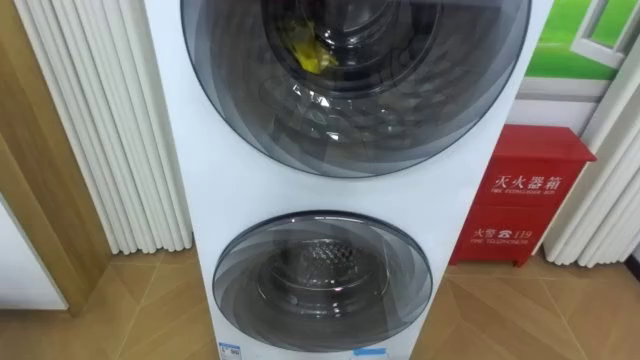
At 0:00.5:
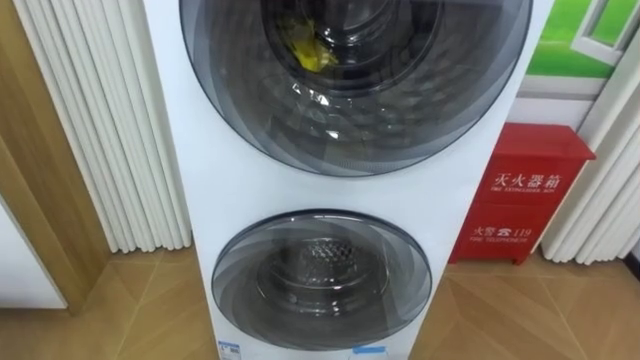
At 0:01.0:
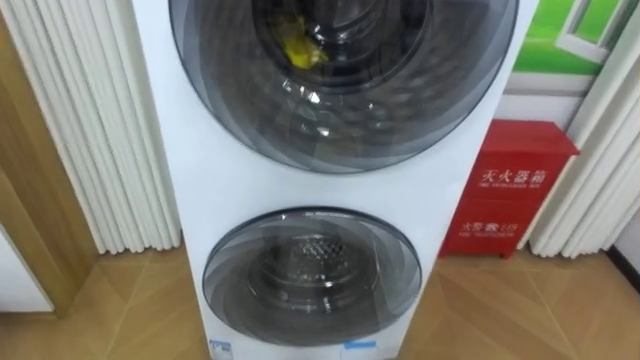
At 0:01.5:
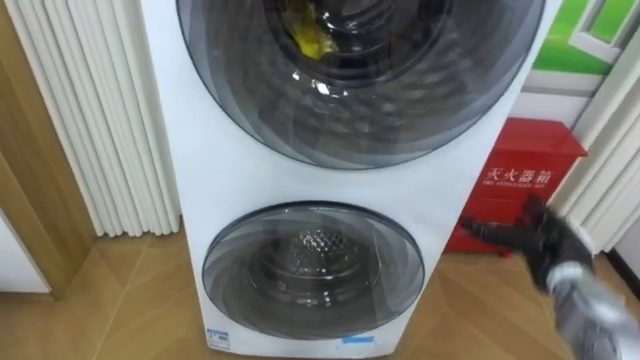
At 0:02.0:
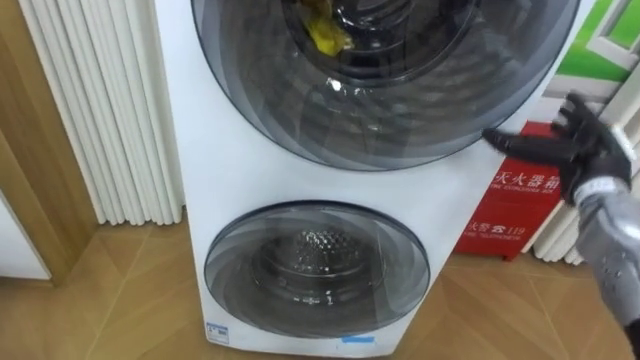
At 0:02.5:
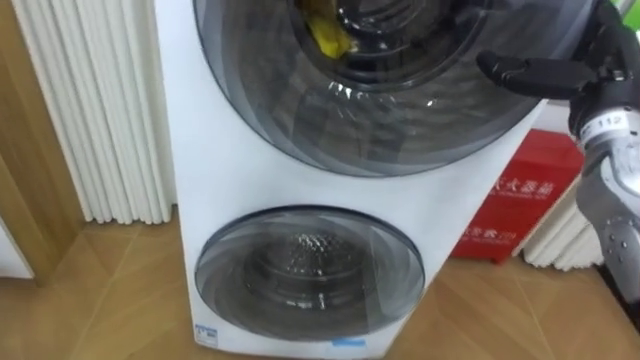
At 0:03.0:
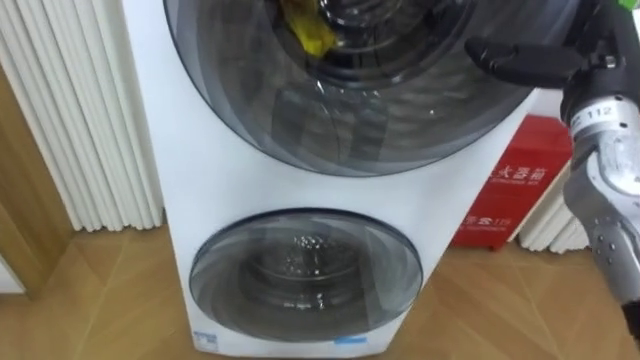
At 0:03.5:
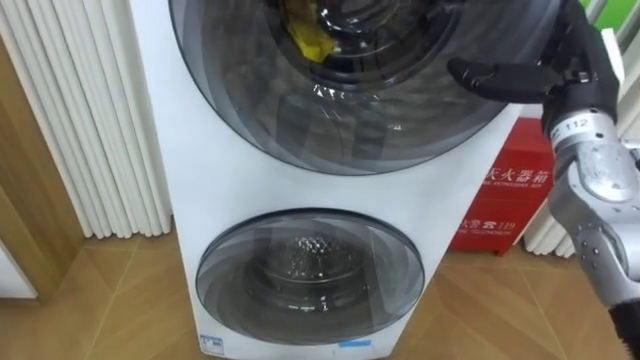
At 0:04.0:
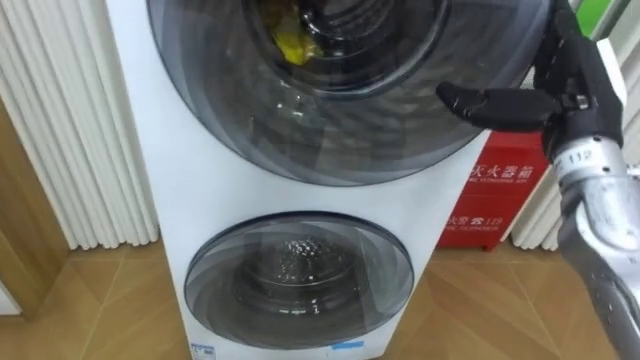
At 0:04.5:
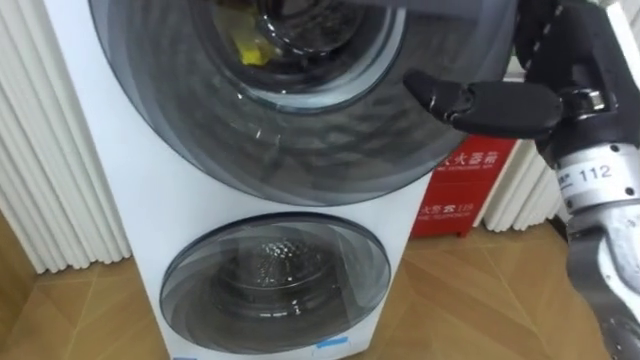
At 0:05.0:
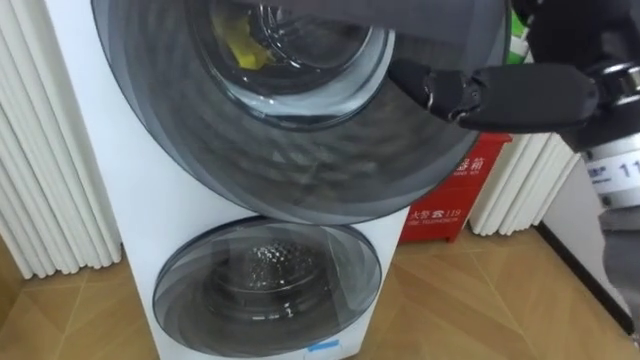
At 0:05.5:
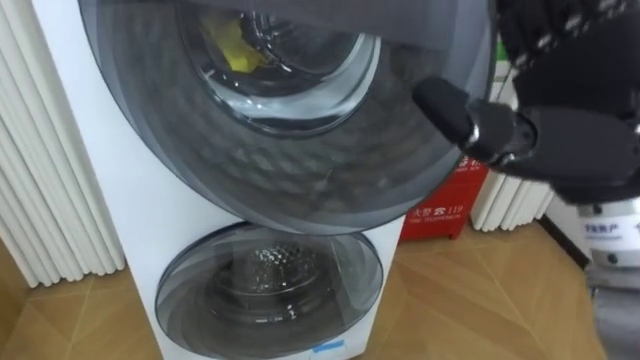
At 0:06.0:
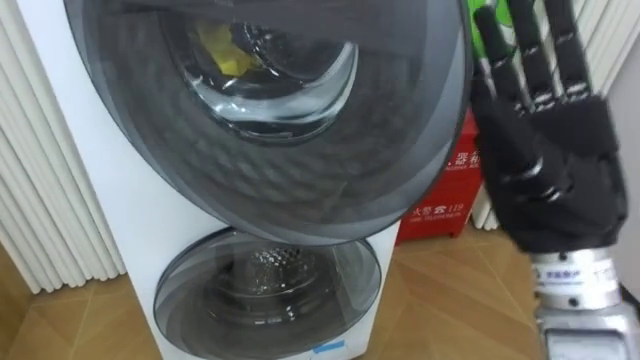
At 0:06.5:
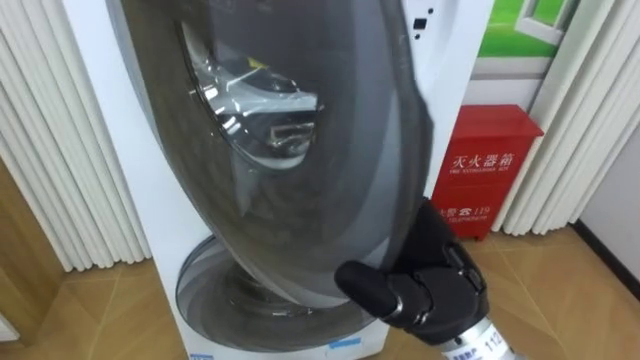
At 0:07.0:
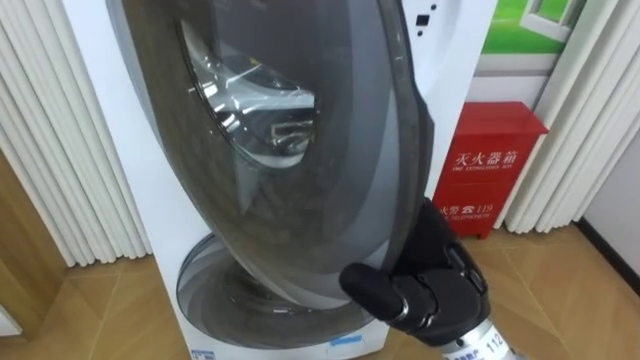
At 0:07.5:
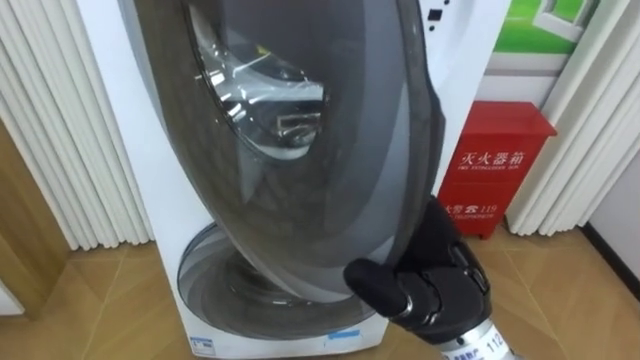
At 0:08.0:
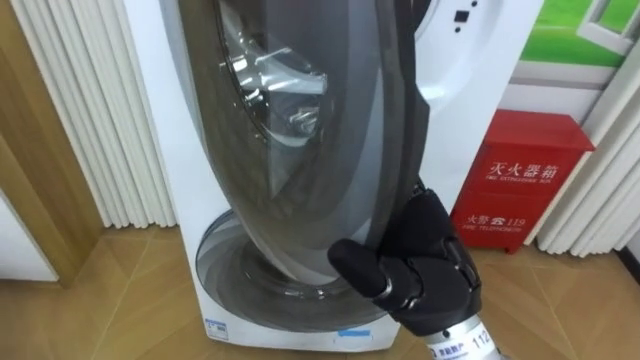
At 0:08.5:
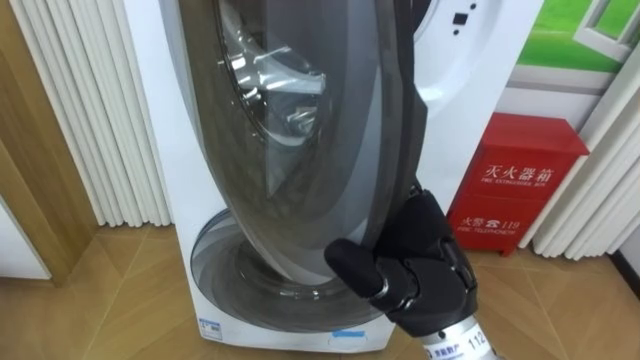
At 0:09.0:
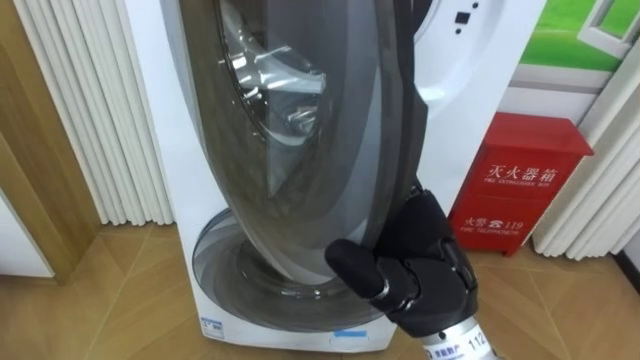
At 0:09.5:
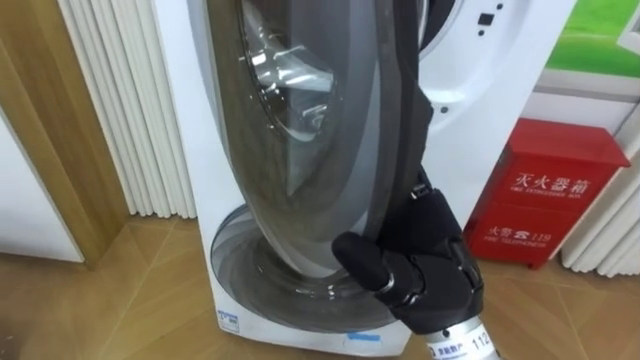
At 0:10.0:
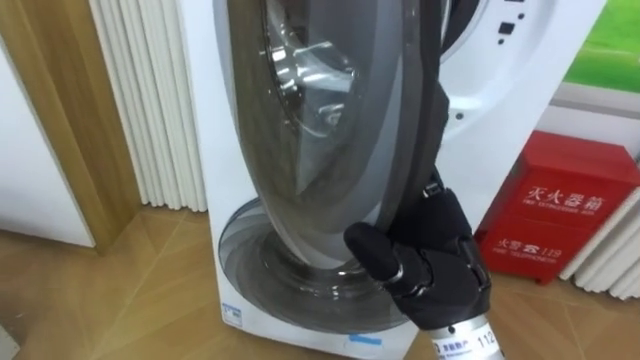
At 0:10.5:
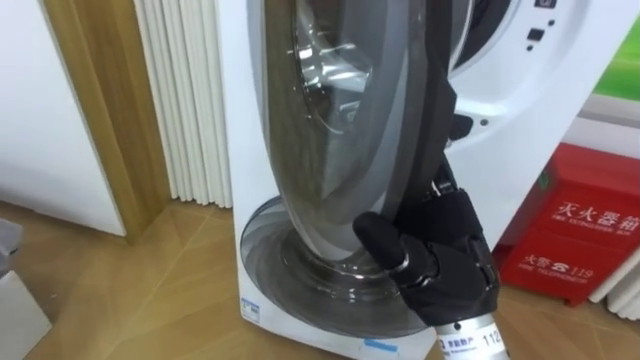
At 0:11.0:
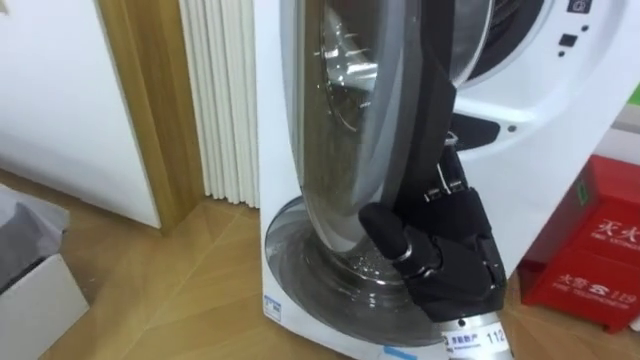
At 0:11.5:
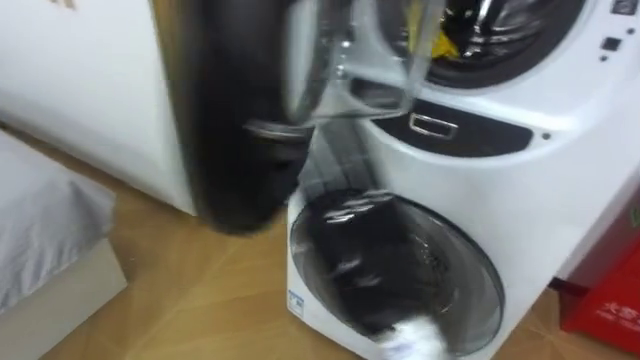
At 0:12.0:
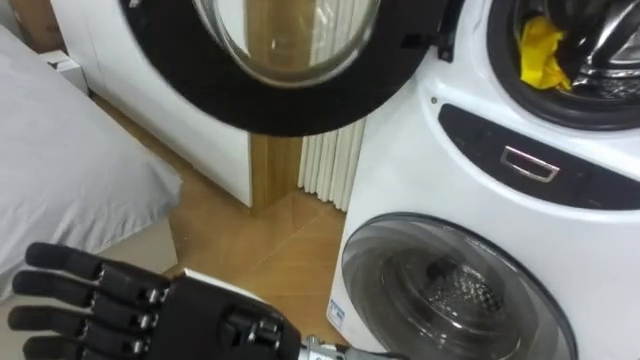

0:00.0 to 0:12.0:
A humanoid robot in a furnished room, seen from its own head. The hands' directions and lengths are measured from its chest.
Task of the whole recording: Open the washing machine door, take out the yellow clothes, place them in the box on the right, and close the washing machine door.
0:02.0 to 0:04.0: The right hand heads upward and to the left, covering some 15 cm.
0:04.0 to 0:06.0: The right hand heads backward and to the left, covering approximately 10 cm.
0:06.0 to 0:08.0: The right hand moves to the left and downward, some 10 cm.
0:10.0 to 0:12.0: The right hand shifts some 20 cm to the left and backward.

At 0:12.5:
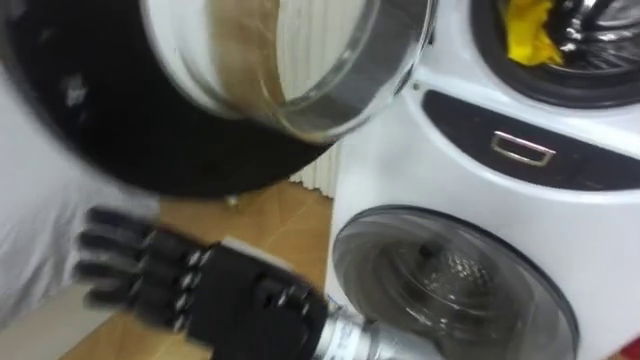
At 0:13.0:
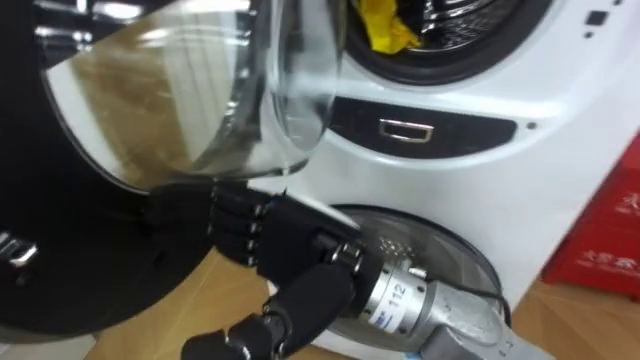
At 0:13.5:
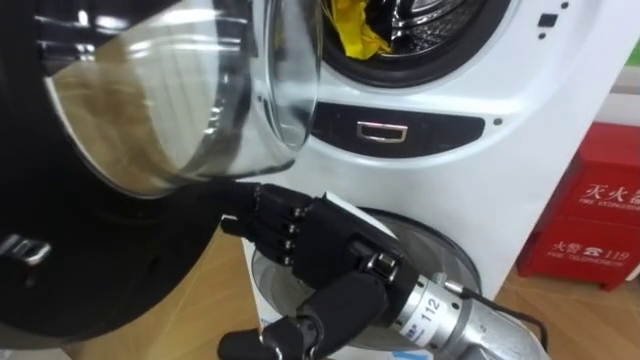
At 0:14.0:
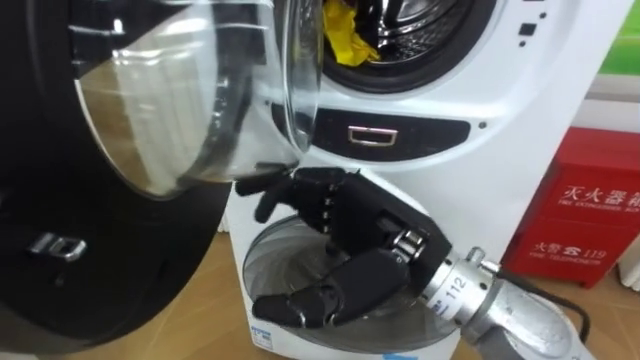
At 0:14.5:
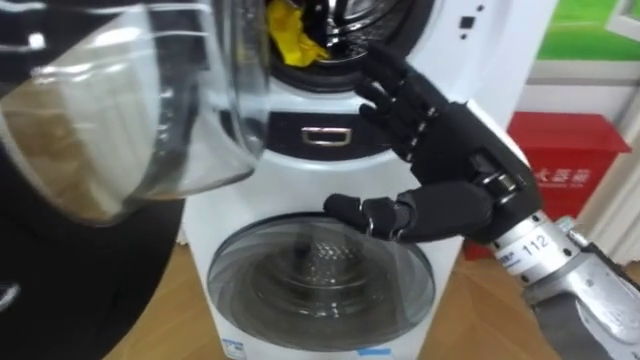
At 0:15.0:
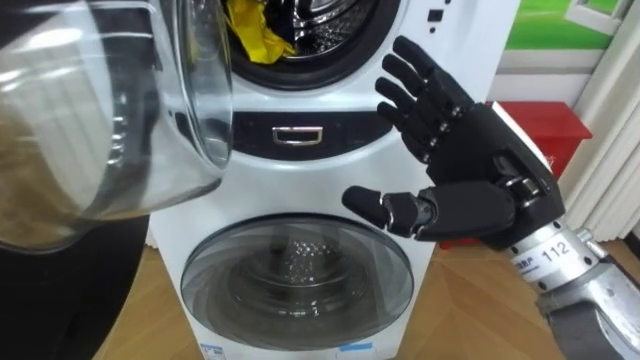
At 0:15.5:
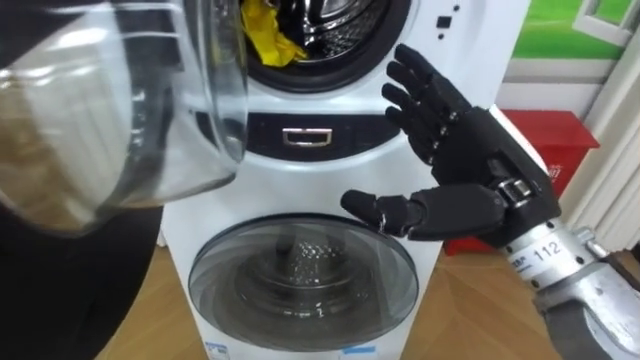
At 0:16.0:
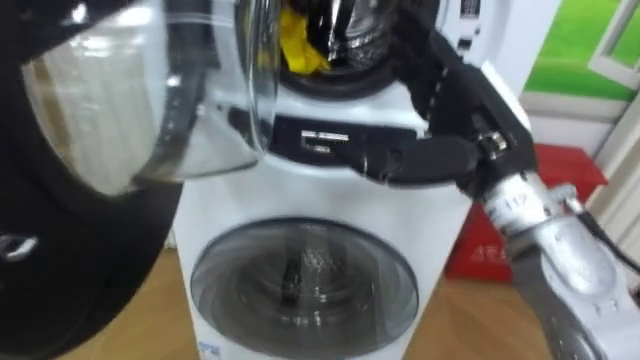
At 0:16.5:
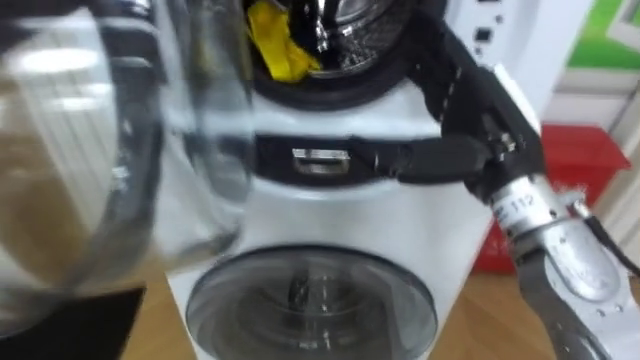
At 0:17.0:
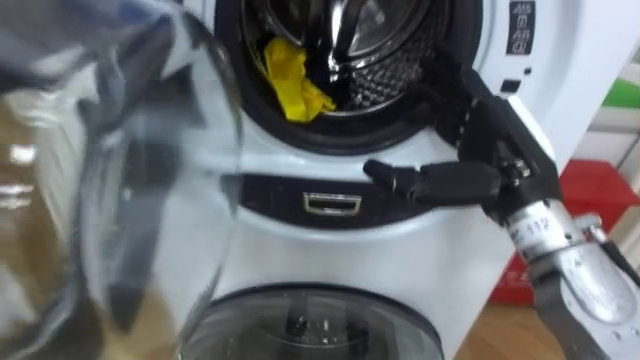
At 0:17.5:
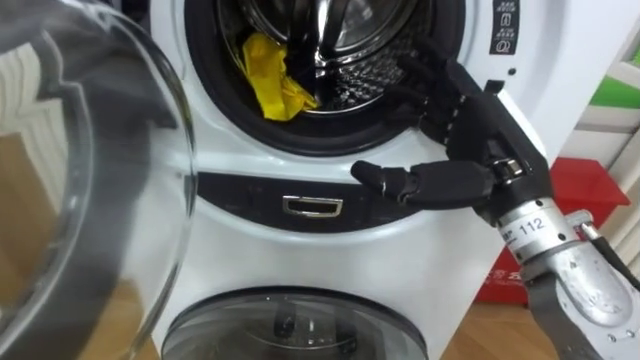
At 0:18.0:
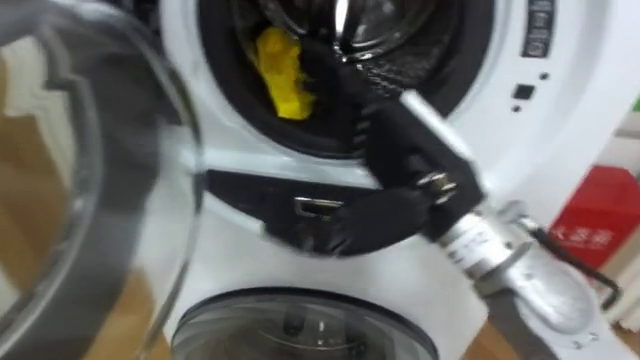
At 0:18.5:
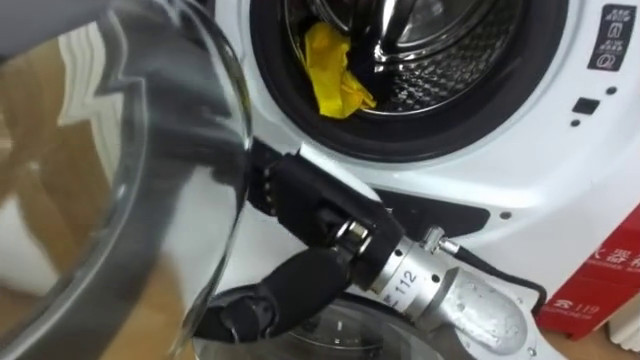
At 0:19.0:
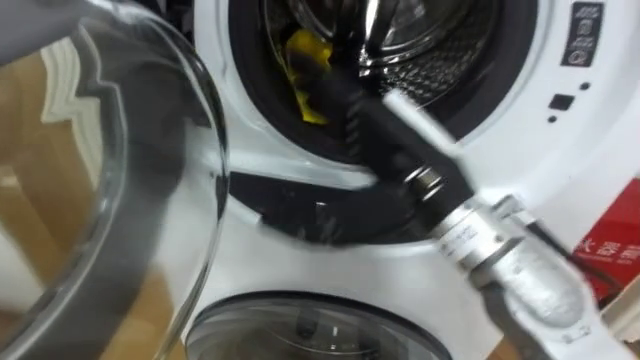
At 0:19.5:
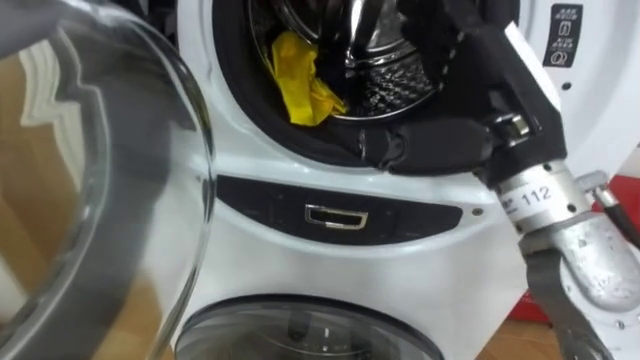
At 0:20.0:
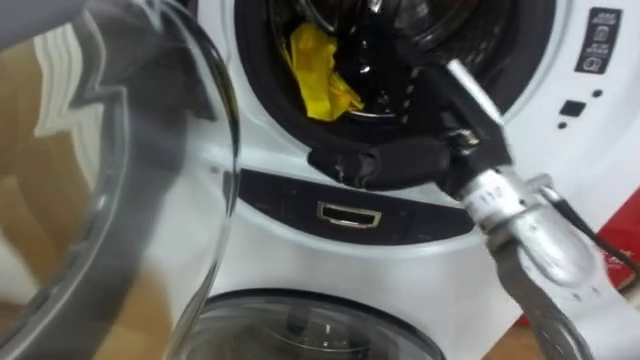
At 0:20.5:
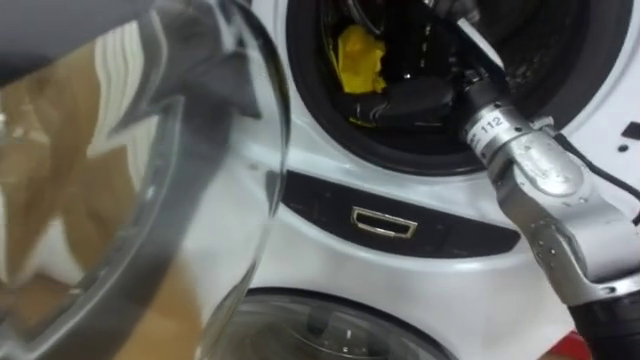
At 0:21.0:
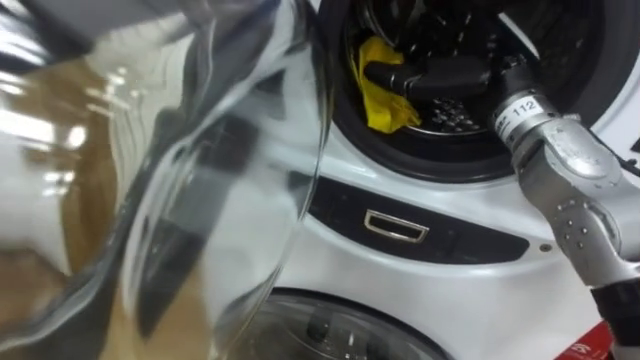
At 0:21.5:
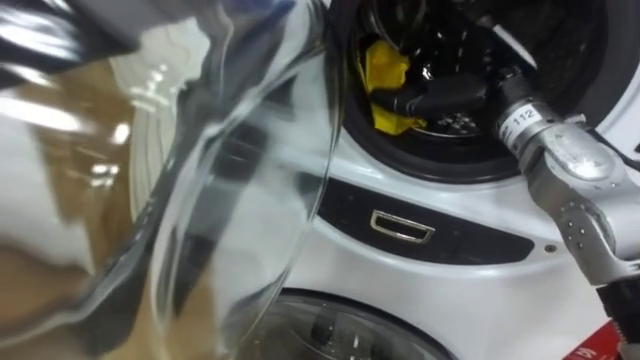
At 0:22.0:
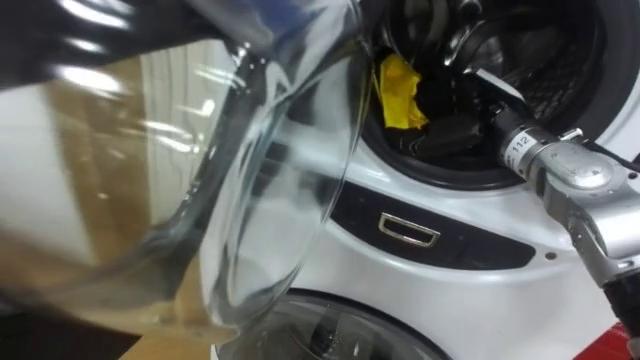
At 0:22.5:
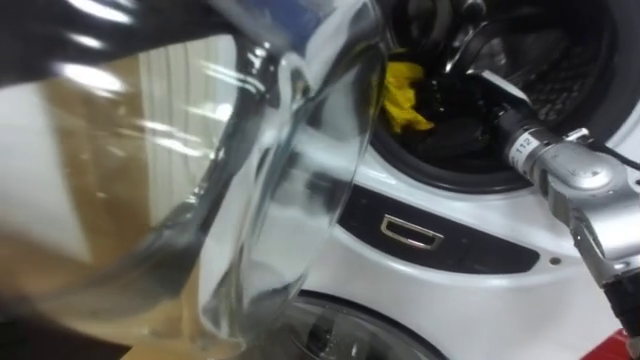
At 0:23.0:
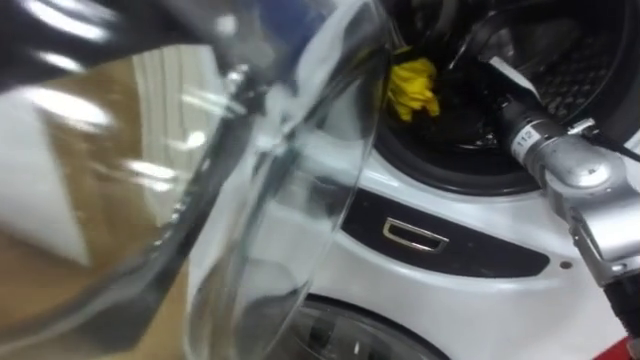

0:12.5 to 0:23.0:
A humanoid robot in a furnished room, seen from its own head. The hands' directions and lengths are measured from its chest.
Task of the whole recording: Open the washing machine door, take out the yellow clothes, place them in the box on the right, and close the washing machine door.
0:12.5 to 0:14.5: The right hand heads to the right and forward, covering about 20 cm.
0:16.5 to 0:19.0: The right hand heads to the left, covering roughly 10 cm.
0:19.0 to 0:21.0: The right hand travels forward and to the right by roughly 15 cm.
0:21.0 to 0:23.0: The right hand is displaced downward by approximately 5 cm, and closes its fingers.
